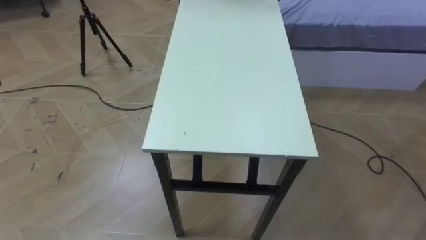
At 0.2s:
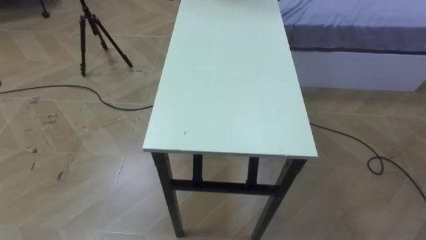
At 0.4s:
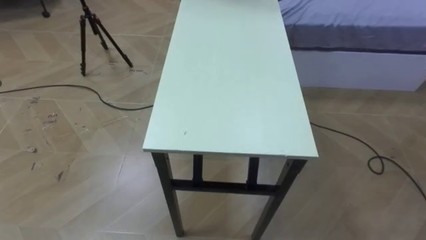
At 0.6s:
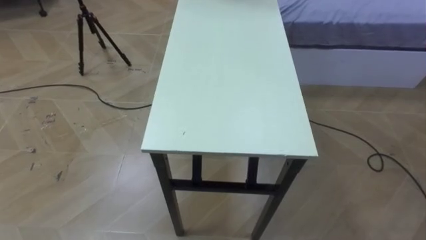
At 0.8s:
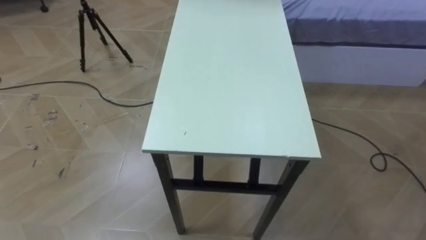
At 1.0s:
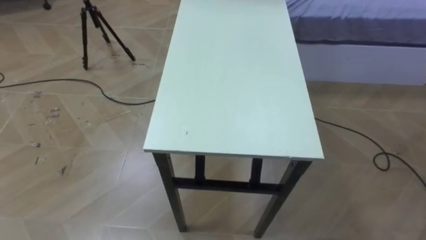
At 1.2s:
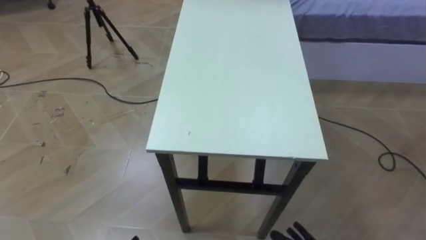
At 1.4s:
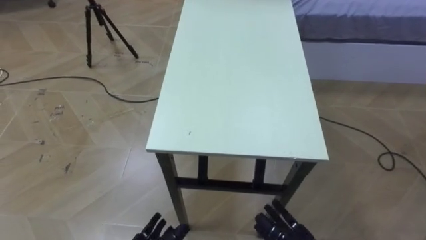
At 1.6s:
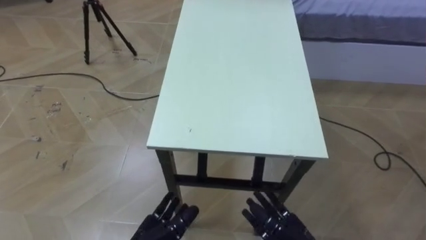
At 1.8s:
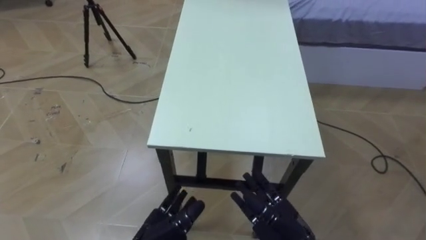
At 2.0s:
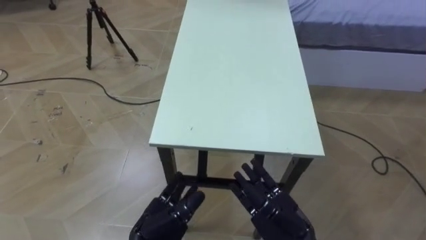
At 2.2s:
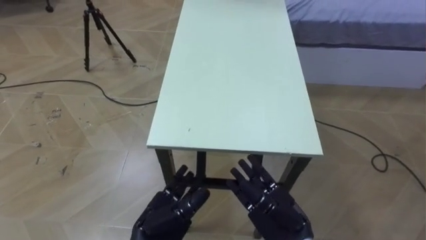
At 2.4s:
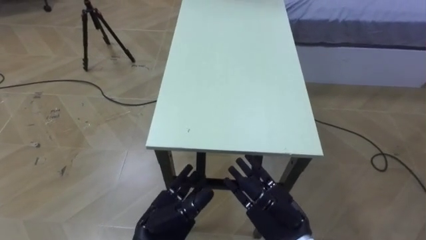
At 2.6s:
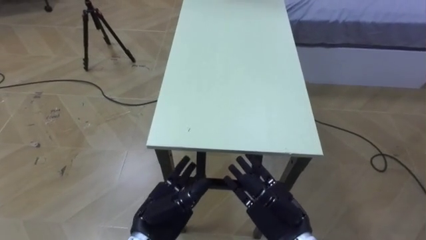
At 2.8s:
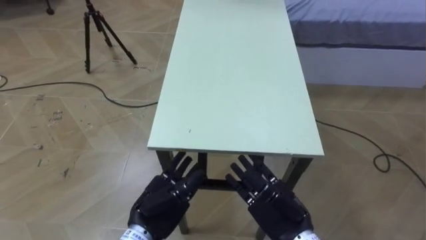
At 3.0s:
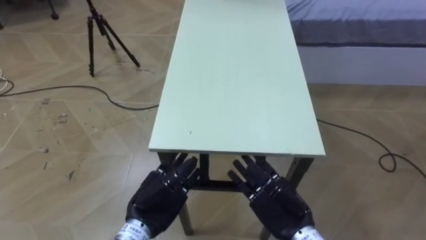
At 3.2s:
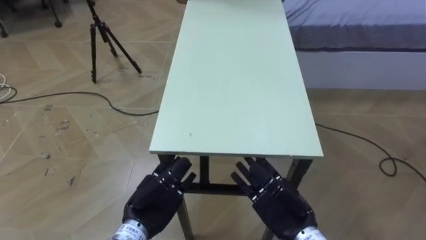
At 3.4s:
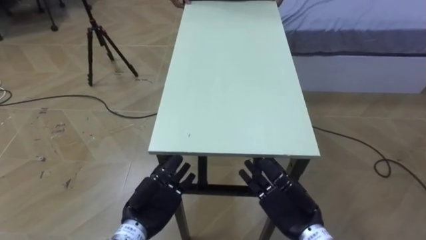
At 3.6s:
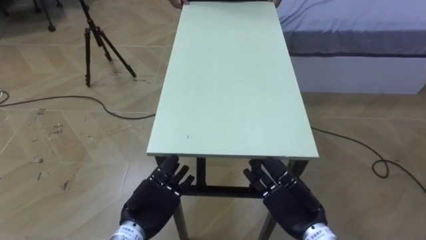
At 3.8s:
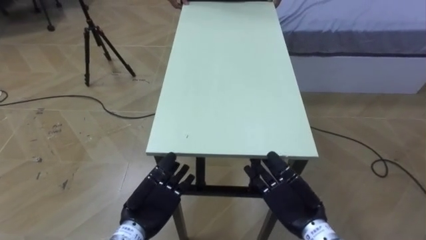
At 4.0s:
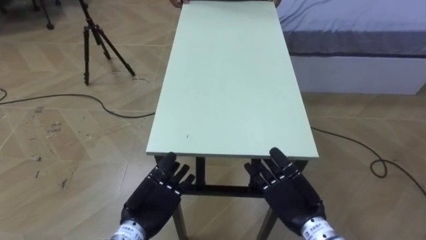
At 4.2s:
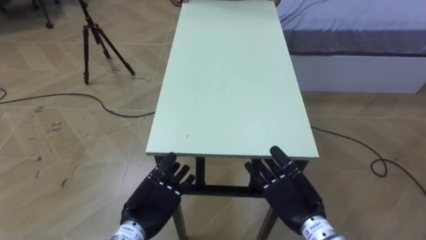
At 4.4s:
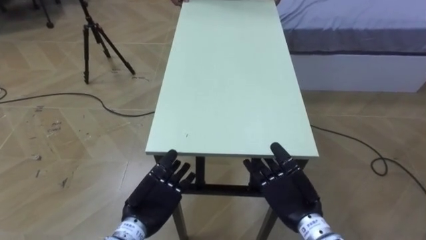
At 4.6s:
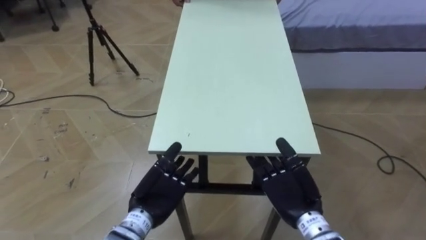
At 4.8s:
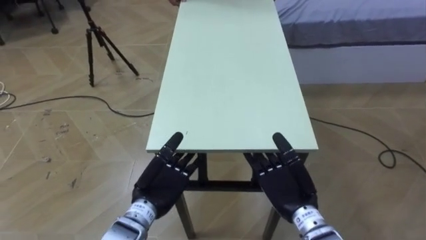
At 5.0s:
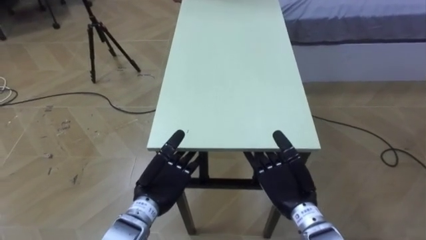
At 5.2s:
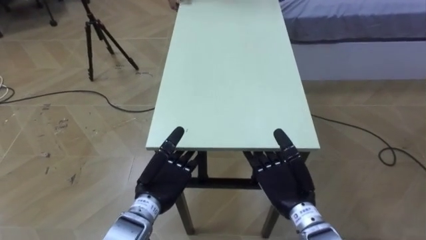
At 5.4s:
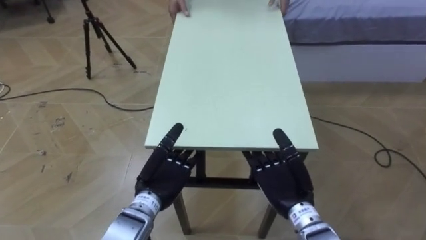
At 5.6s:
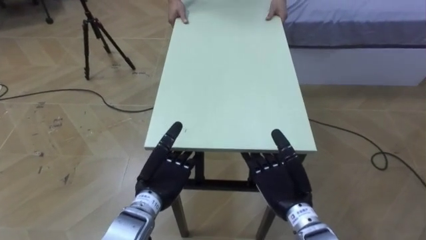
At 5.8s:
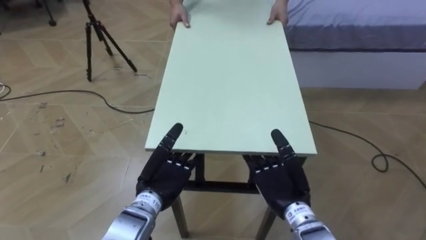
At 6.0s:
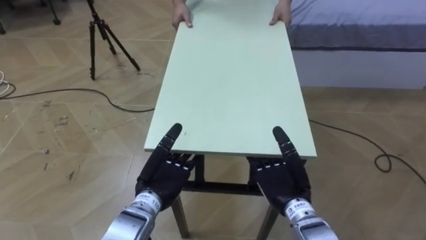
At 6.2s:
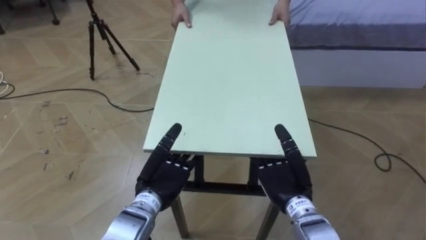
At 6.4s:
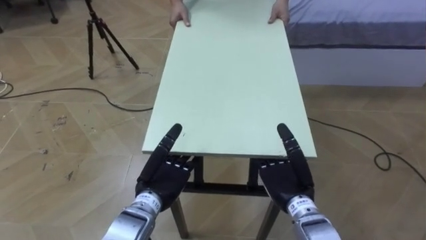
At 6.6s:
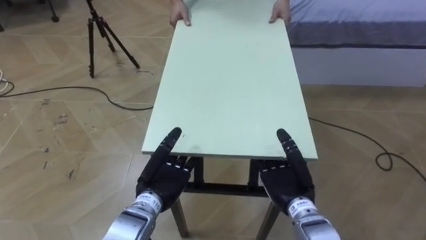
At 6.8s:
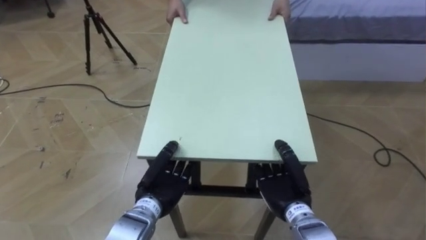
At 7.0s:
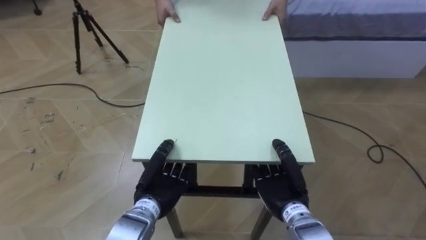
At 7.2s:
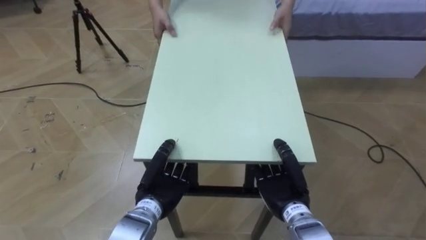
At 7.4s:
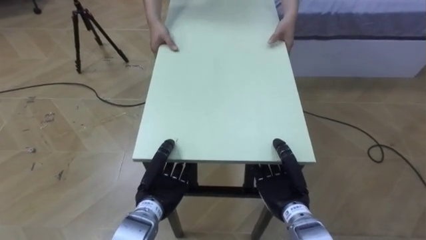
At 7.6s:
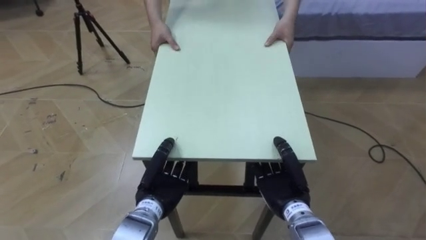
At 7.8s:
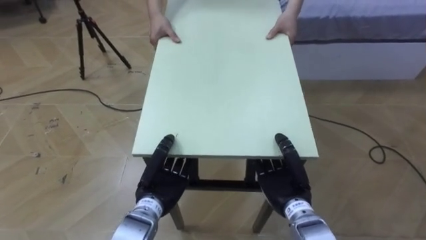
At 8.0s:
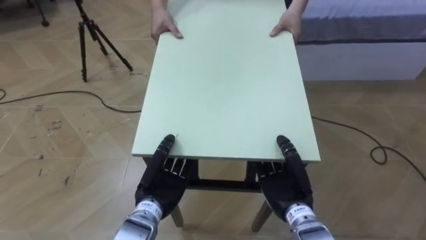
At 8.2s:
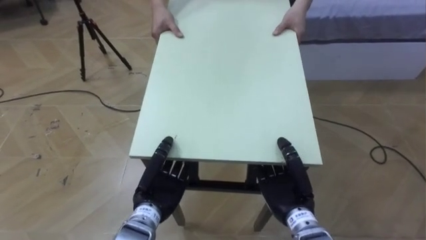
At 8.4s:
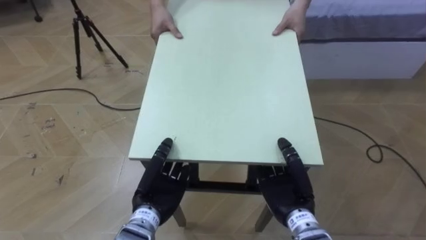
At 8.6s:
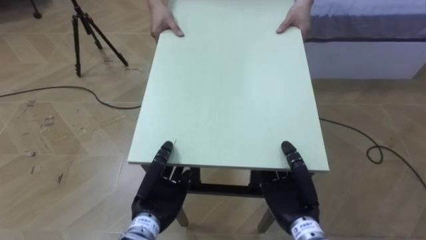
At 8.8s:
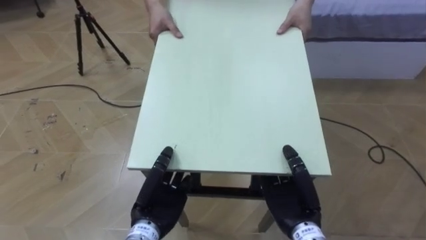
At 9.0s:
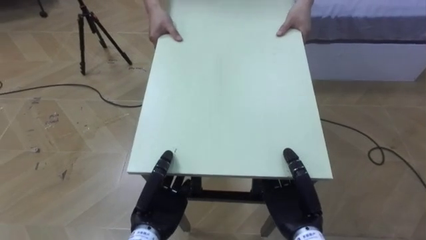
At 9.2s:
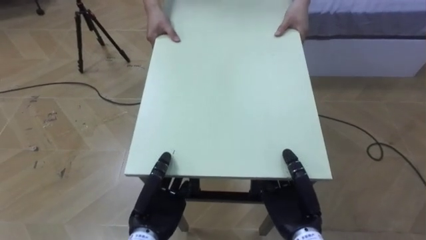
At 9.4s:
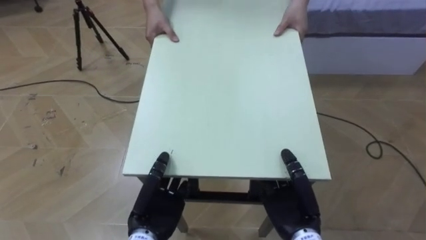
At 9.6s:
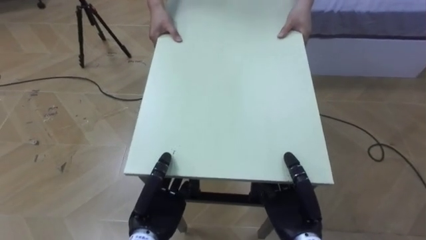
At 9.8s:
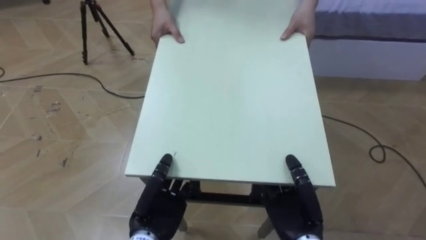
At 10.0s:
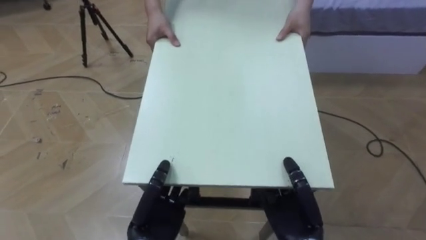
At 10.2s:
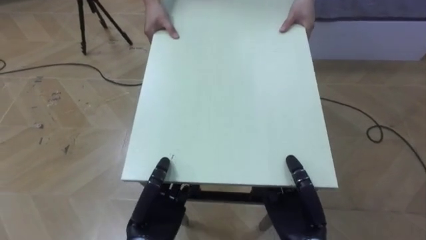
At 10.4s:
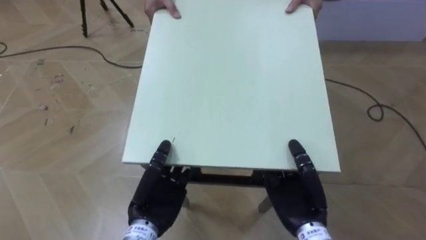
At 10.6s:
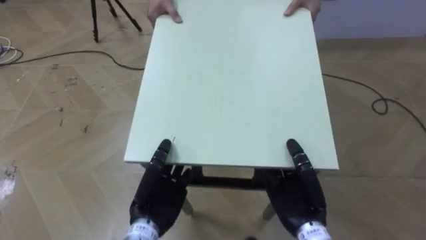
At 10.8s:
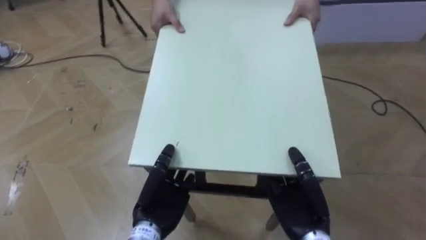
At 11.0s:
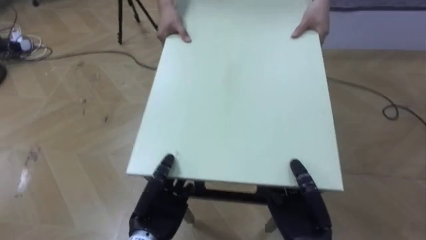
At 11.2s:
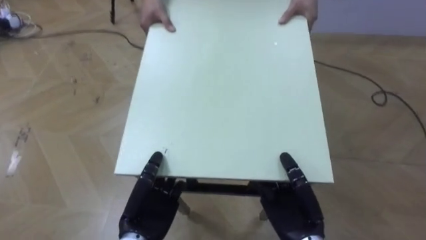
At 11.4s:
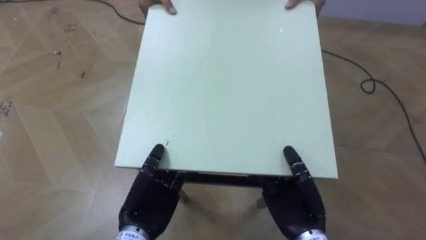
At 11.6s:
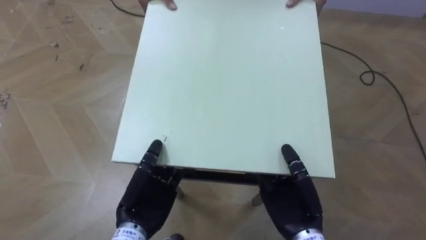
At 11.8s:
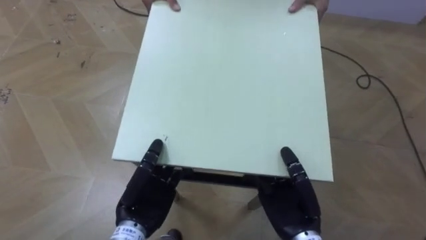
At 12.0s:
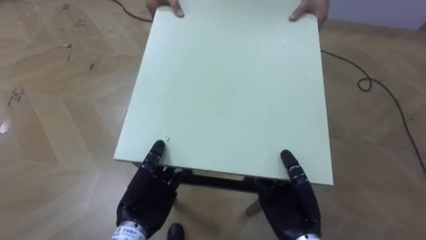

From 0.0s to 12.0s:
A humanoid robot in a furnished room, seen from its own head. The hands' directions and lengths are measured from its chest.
Task of the whole recording: Move the table to the back left with someone.
From 1.6s to 3.0s: The right hand shifts roughly 10 cm upward and forward.
From 6.0s to 7.6s: The right hand closes. The left hand closes its fingers.

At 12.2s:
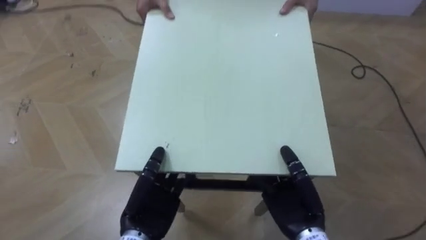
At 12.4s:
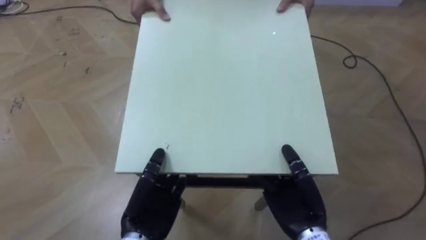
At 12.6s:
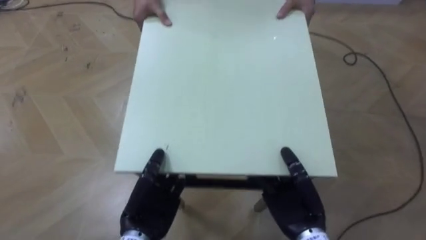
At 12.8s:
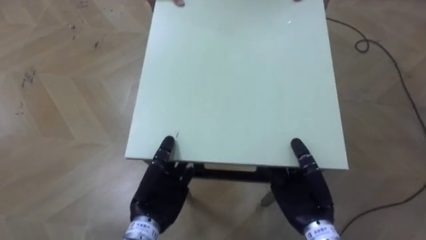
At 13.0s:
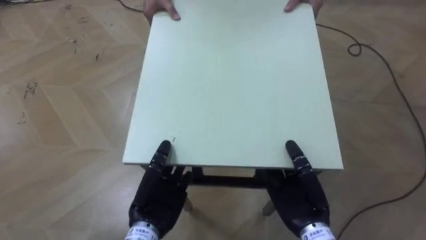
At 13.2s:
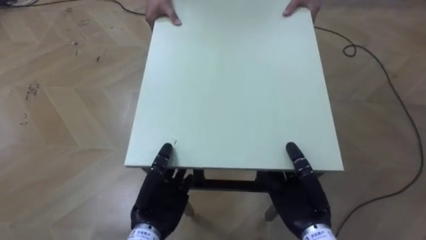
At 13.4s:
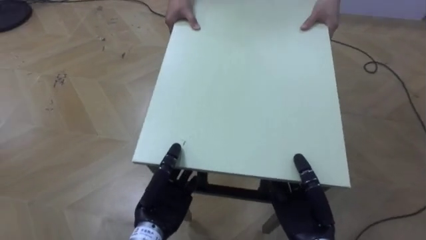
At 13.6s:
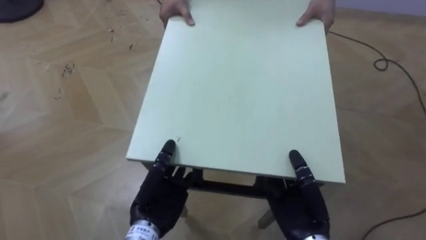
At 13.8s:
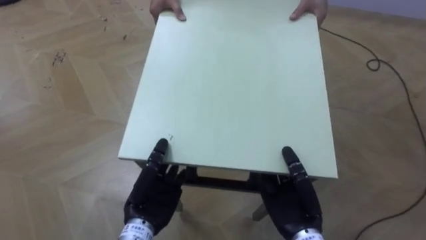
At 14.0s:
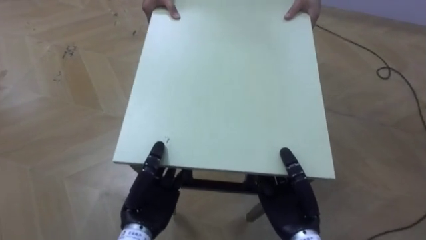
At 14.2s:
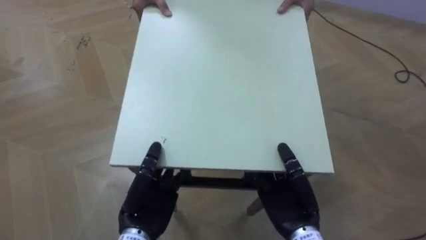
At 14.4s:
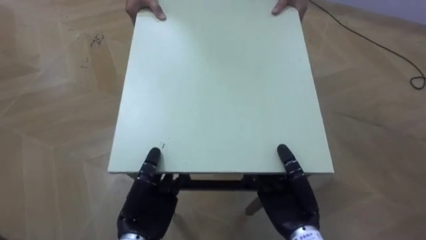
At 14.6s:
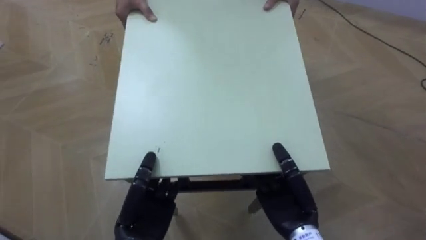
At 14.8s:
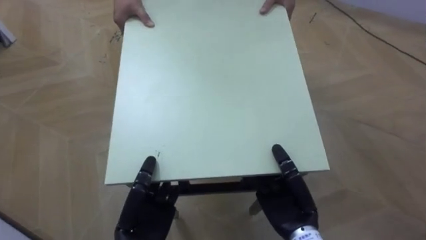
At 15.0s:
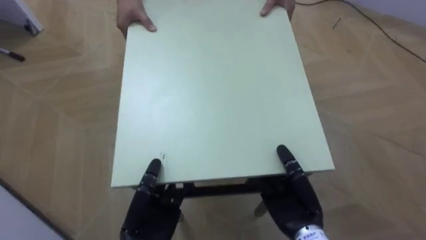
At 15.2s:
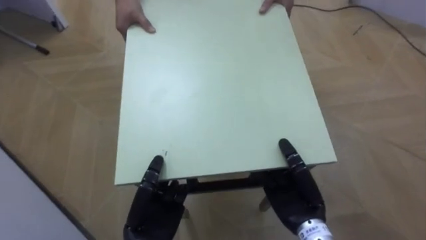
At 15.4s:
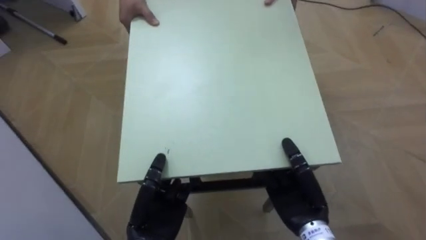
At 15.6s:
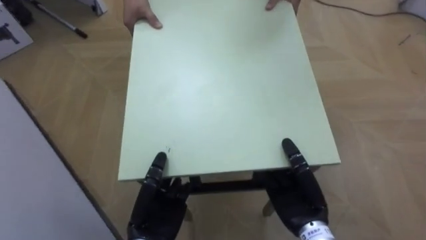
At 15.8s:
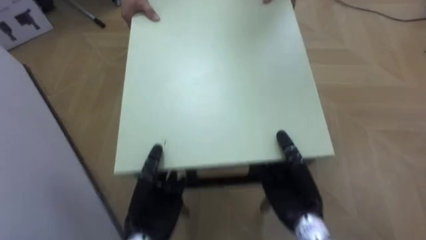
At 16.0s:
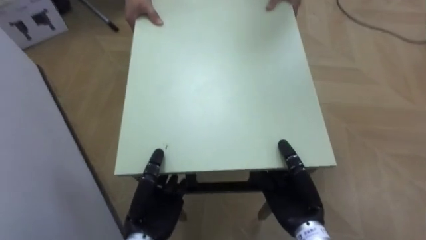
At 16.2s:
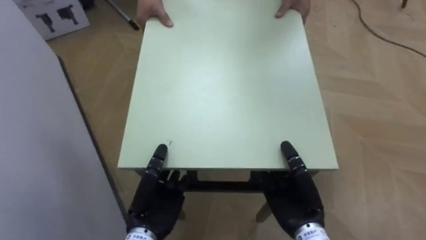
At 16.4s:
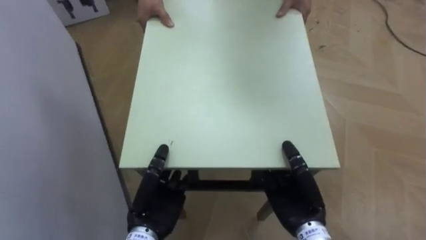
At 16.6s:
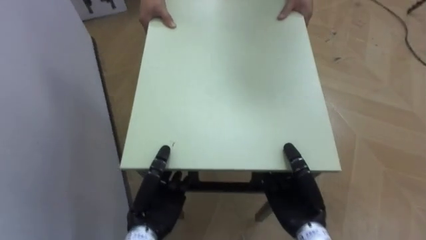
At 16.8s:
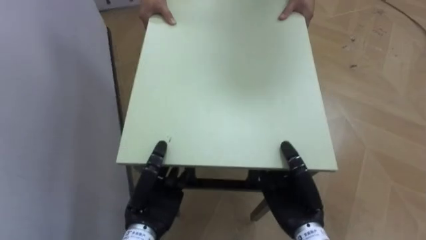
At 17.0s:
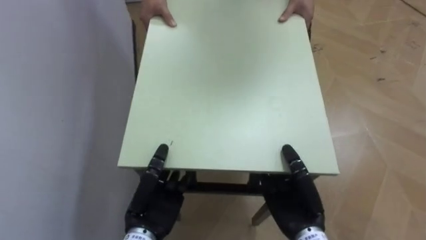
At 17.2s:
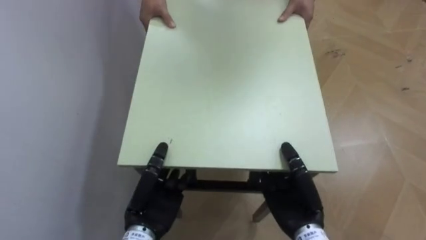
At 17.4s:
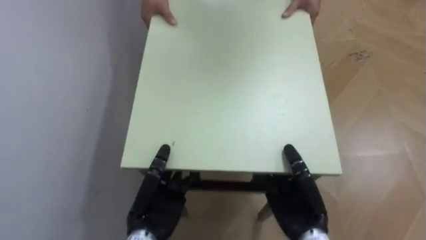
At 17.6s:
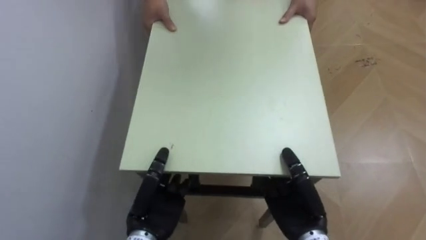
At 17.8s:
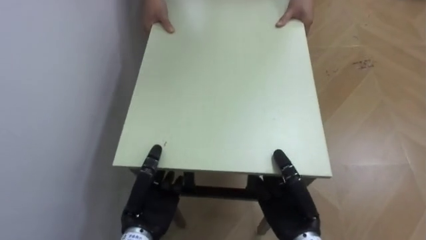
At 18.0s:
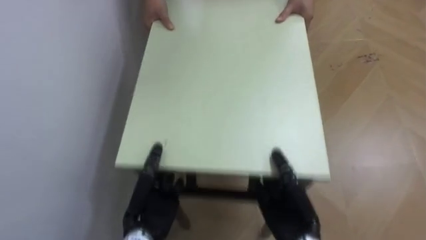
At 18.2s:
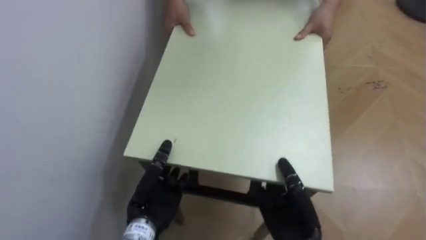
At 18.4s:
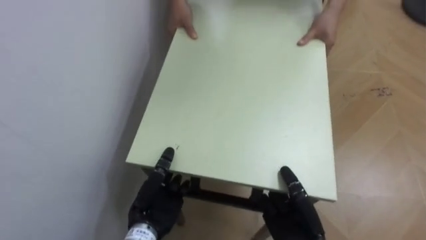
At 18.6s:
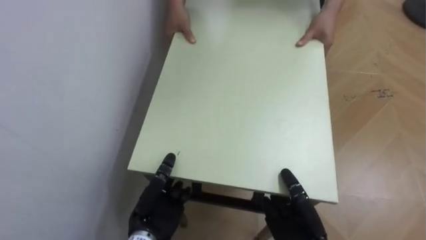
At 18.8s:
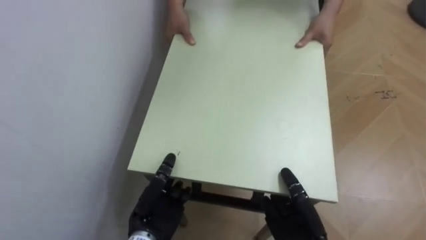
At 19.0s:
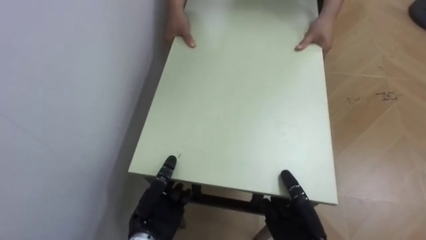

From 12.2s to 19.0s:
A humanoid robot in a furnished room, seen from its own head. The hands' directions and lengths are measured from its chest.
Task of the whole recording: Move the table to the back left with someone.
From 13.6s to 15.0s: The robot faces some 20 degrees further to its left.
From 15.0s to 16.2s: The robot rotates roughly 35 degrees to its left.
From 16.2s to 17.6s: The robot rotates roughly 35 degrees to its left.
